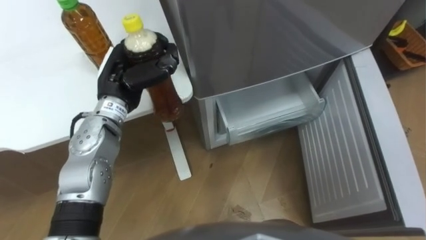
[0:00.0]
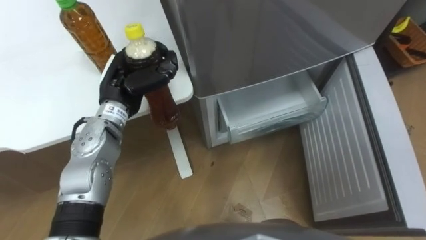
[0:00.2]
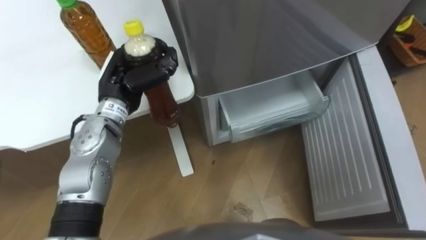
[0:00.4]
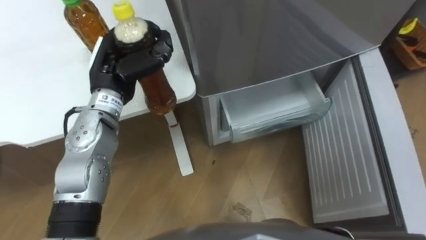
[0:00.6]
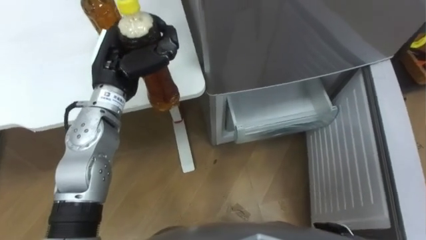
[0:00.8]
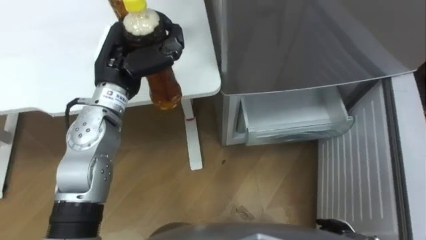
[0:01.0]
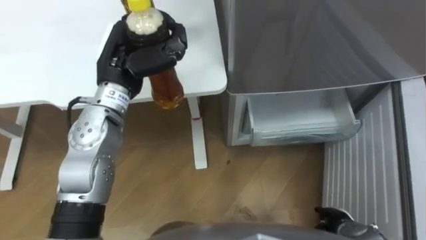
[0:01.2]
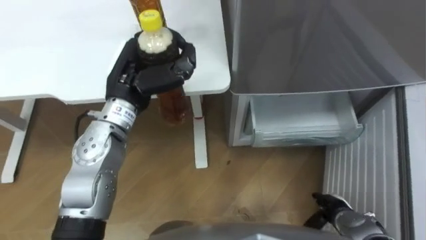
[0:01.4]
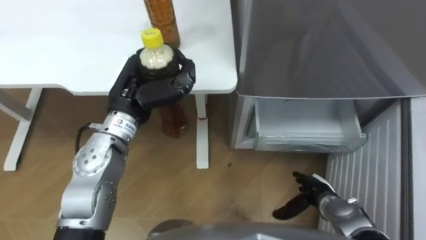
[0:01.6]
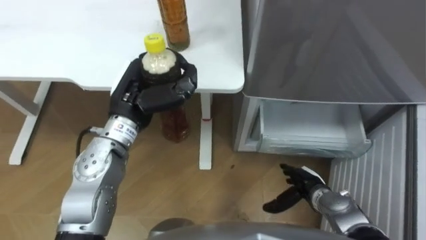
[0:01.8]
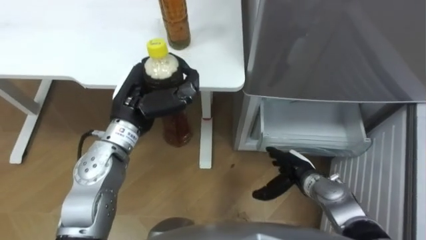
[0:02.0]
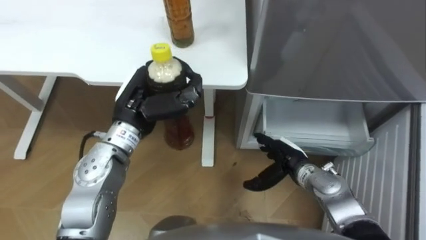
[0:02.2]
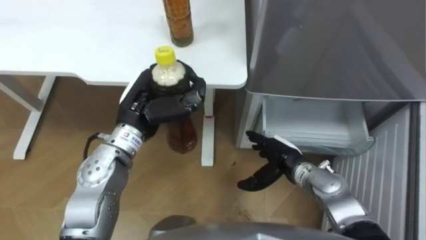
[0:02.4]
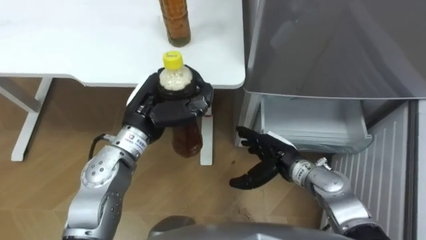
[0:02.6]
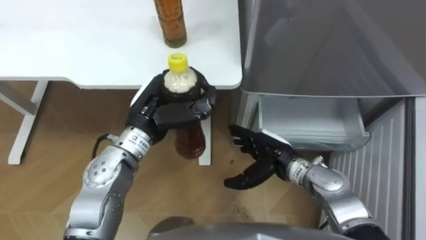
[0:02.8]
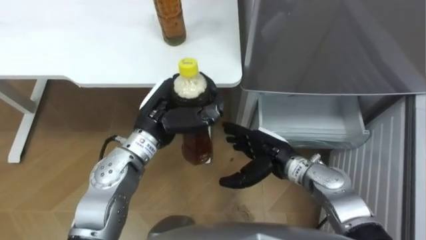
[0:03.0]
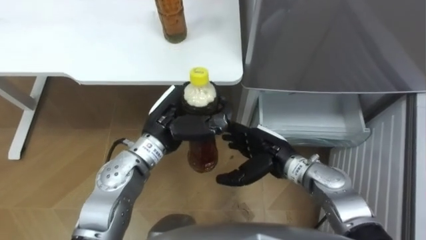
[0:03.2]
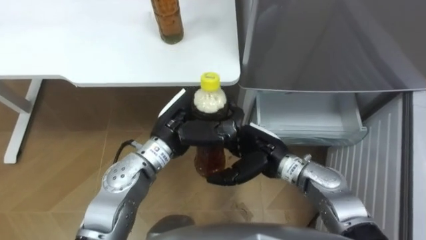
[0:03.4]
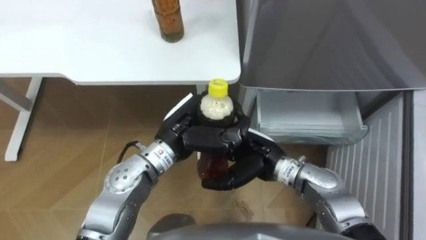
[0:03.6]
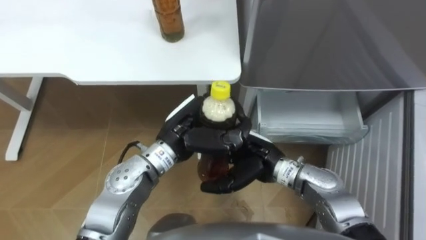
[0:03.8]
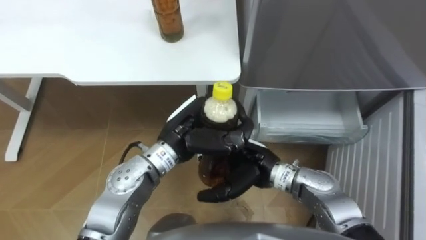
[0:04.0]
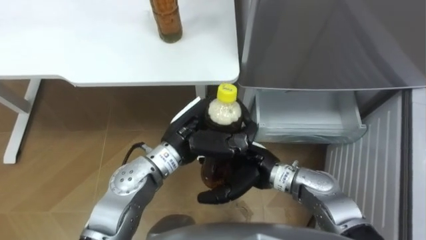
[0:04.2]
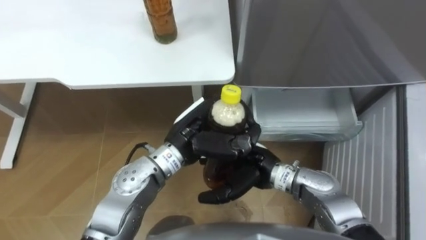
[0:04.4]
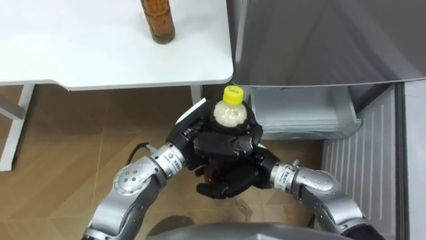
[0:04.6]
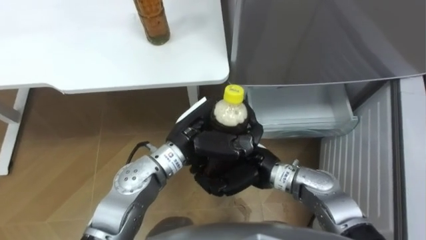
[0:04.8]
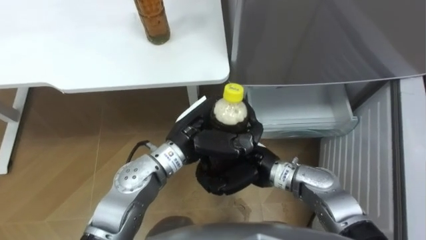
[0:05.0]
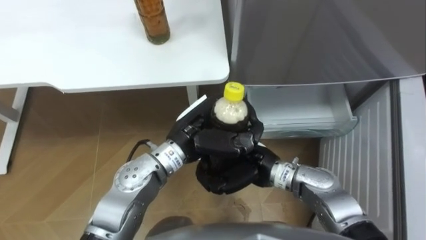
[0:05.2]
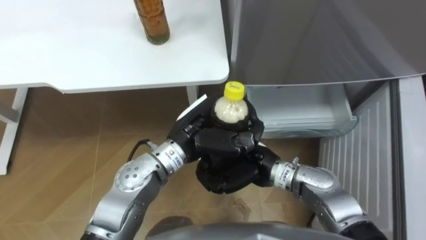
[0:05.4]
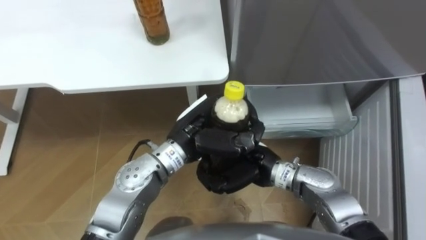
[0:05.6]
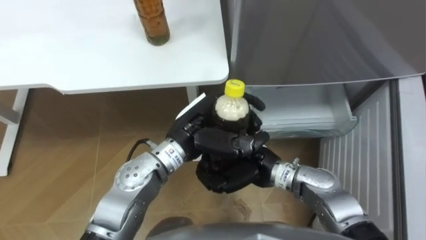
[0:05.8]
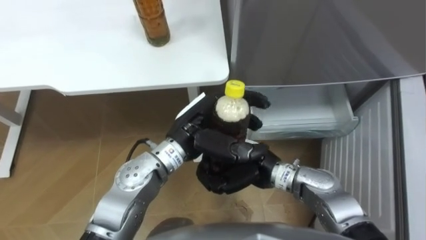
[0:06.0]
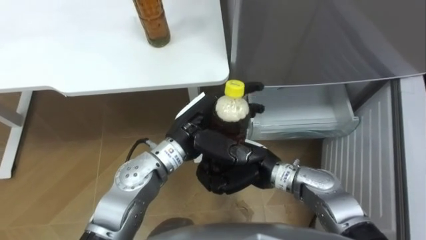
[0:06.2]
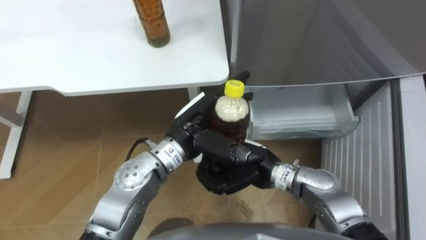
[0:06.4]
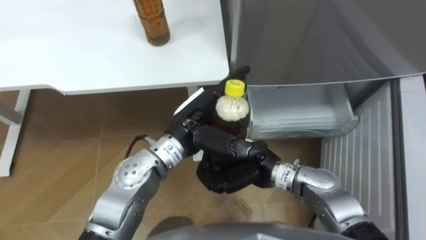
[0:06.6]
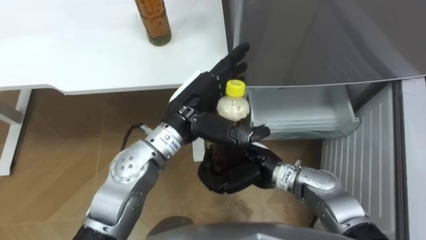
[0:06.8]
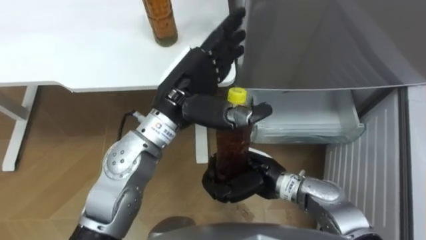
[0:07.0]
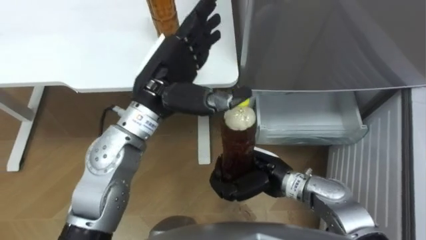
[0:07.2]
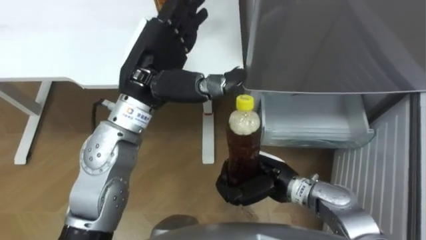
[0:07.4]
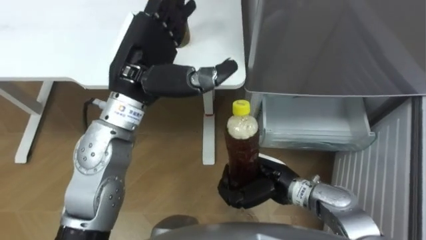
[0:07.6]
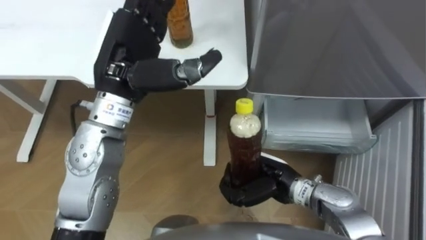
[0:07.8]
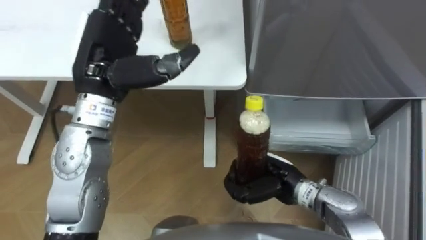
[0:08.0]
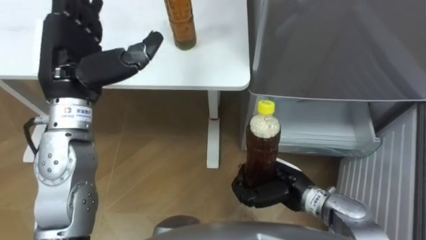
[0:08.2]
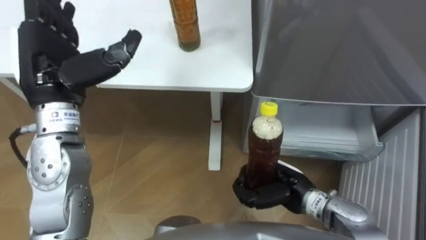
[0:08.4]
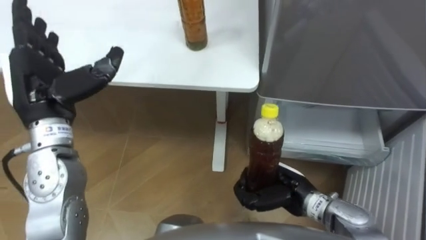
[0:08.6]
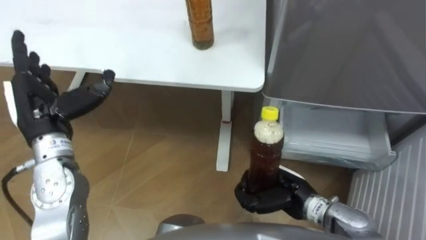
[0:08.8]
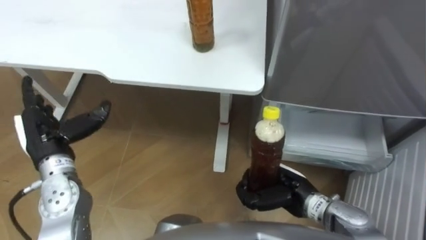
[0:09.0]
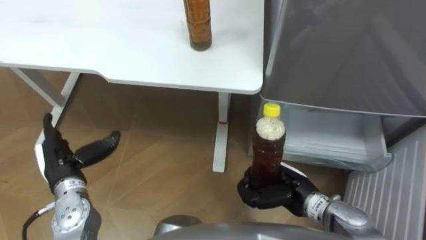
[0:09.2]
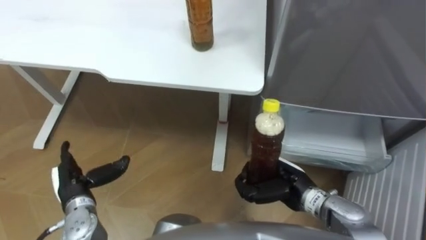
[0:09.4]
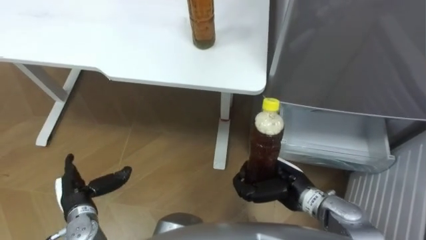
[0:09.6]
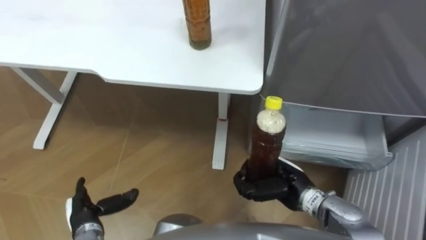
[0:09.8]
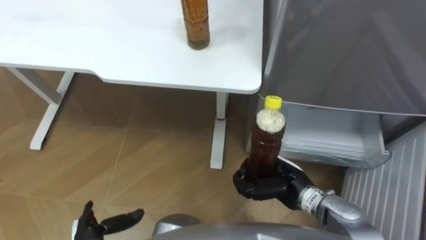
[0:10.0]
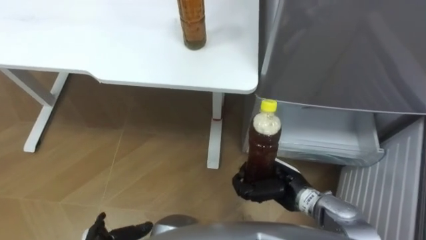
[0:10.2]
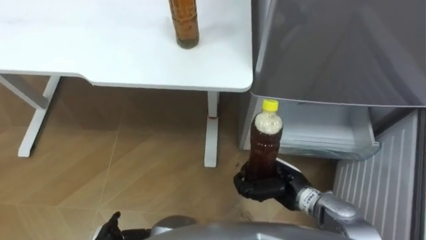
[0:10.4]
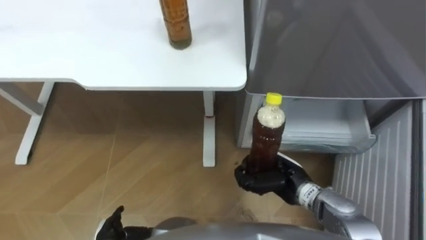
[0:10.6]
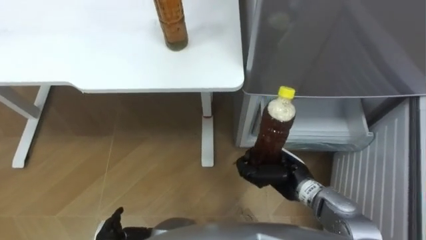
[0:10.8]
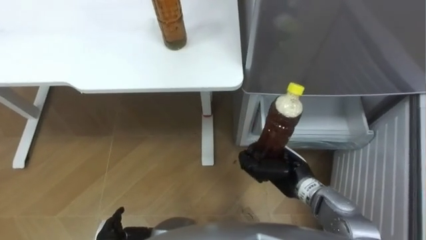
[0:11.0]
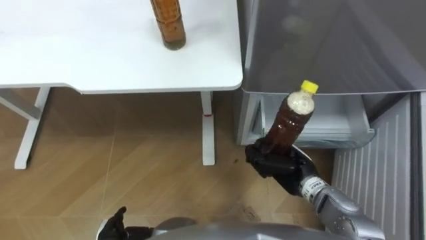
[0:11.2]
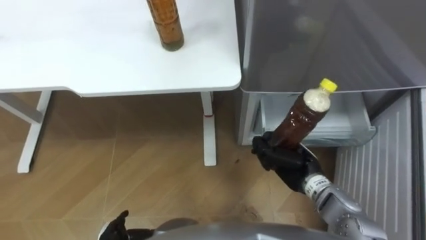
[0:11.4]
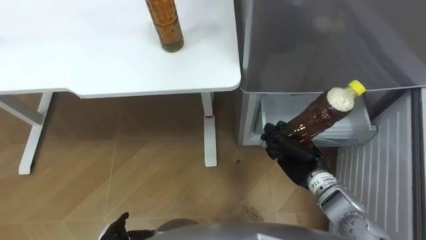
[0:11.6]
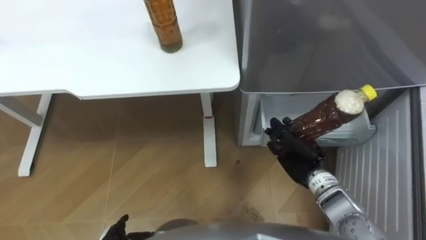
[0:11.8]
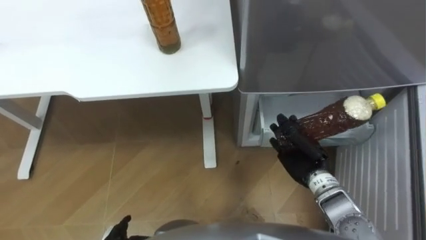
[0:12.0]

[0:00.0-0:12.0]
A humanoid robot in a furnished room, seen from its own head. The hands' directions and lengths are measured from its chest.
Task of the whole recording: Place the drink on the table on the bottom shelf of the refrigerator, then close the drawer and the refrigerator door.
0:01.6 to 0:03.0: The left hand ends up approximately 5 cm from where it was, while the right hand is displaced to the left, upward and forward by some 20 cm.
0:03.0 to 0:04.4: The right hand is displaced to the left by some 5 cm, while the left hand moves to the right, approximately 5 cm.
0:04.4 to 0:06.0: The left hand opens its fingers, while the right hand closes its fingers.
0:06.0 to 0:07.6: The left hand moves upward and to the left, approximately 15 cm, and opens up. The right hand moves approximately 5 cm.
0:07.6 to 0:09.0: The right hand moves about 5 cm. The left hand is displaced to the left and downward by some 25 cm.
0:10.4 to 0:12.0: The right hand ends up some 5 cm from where it was.

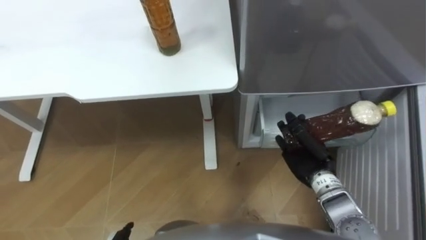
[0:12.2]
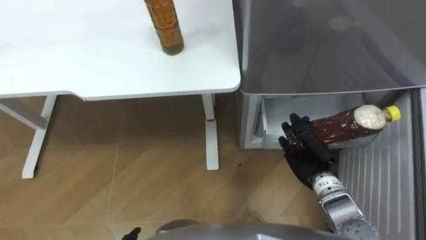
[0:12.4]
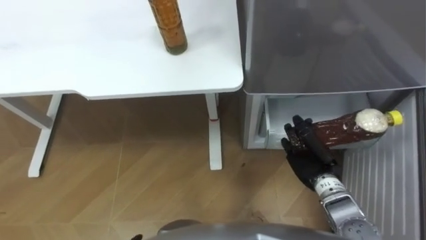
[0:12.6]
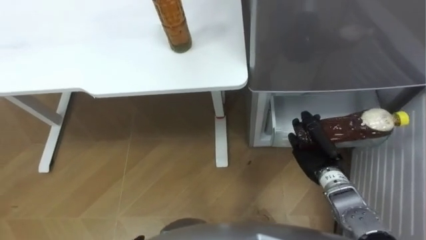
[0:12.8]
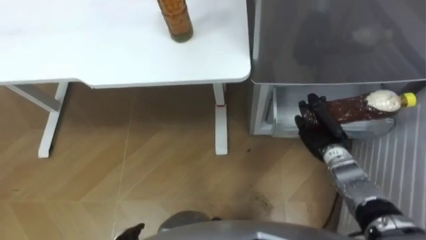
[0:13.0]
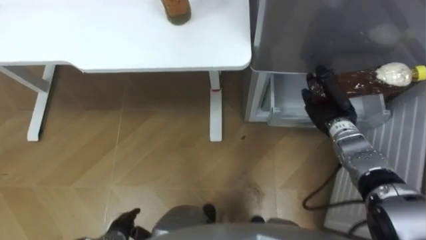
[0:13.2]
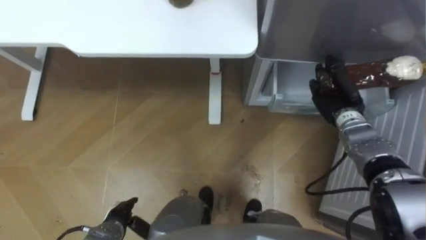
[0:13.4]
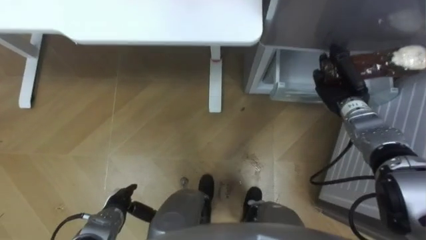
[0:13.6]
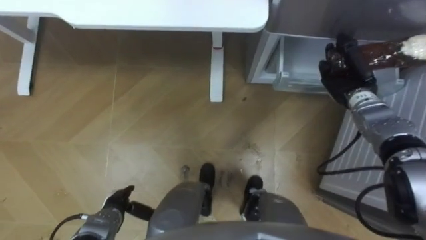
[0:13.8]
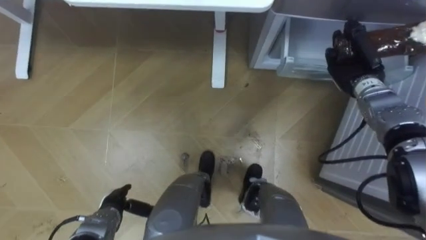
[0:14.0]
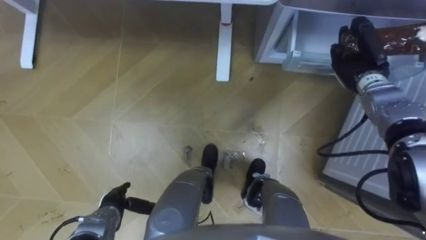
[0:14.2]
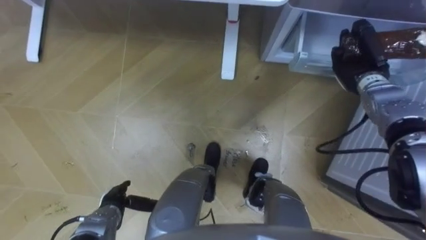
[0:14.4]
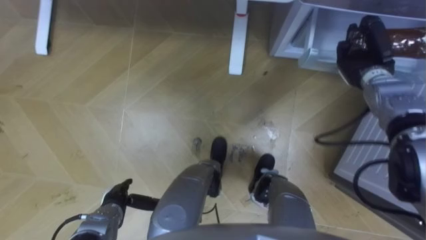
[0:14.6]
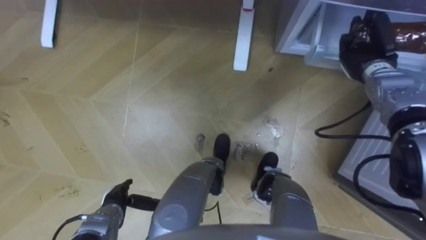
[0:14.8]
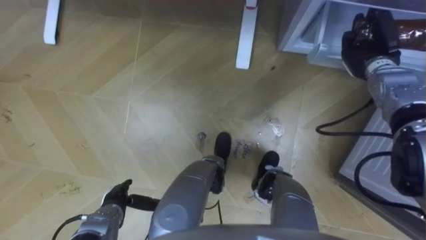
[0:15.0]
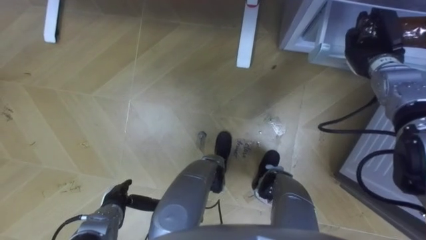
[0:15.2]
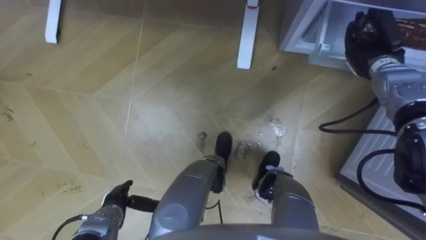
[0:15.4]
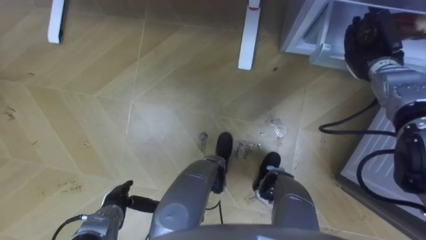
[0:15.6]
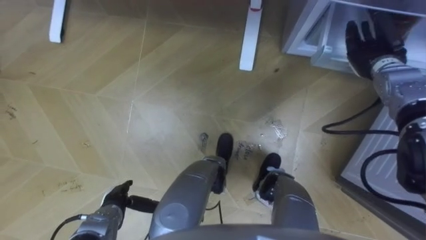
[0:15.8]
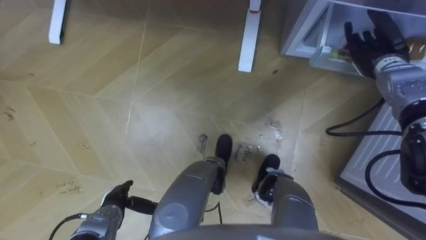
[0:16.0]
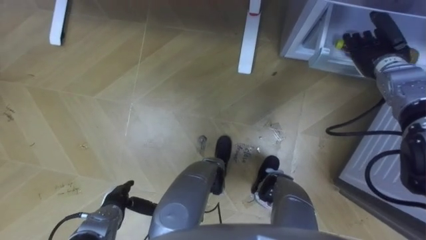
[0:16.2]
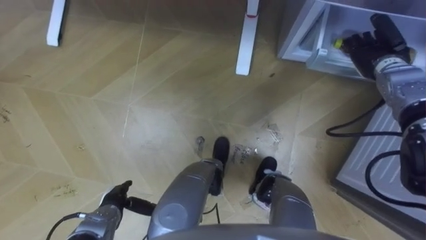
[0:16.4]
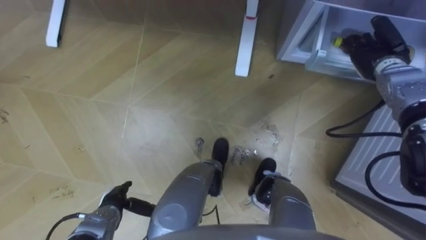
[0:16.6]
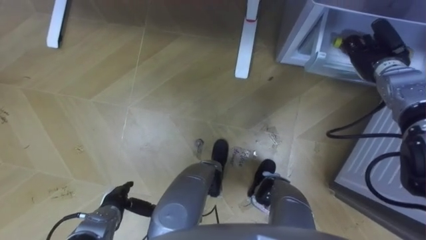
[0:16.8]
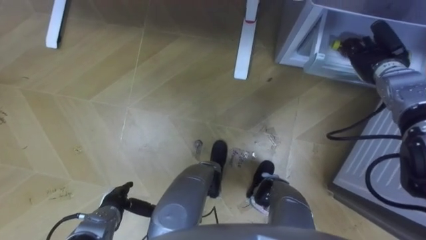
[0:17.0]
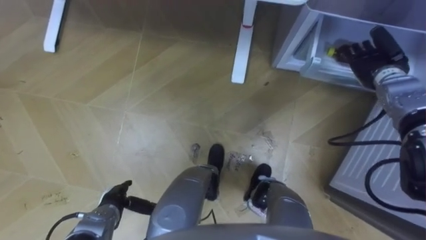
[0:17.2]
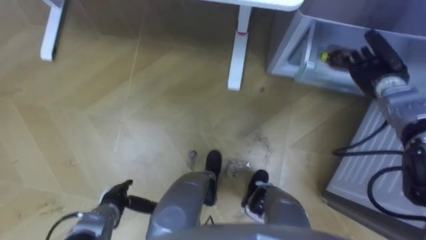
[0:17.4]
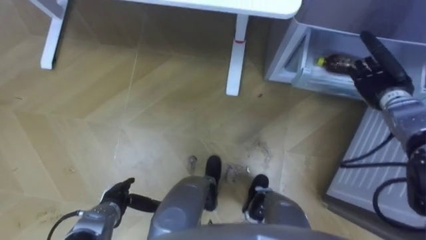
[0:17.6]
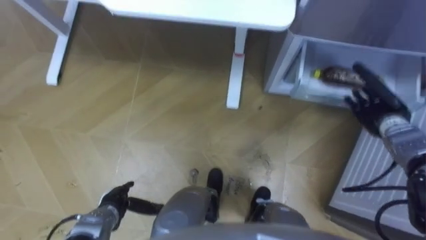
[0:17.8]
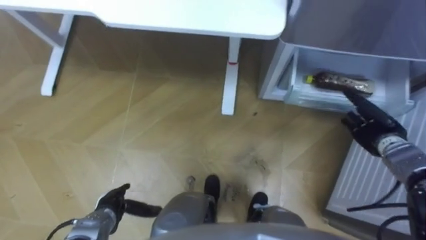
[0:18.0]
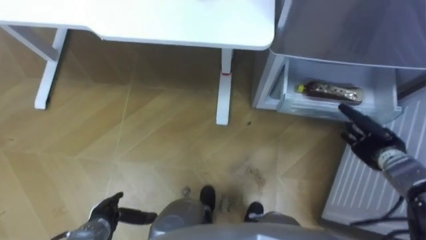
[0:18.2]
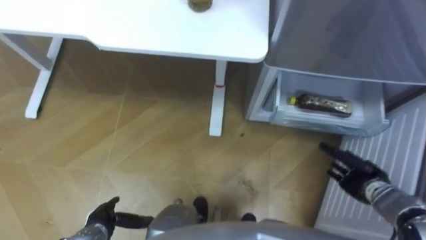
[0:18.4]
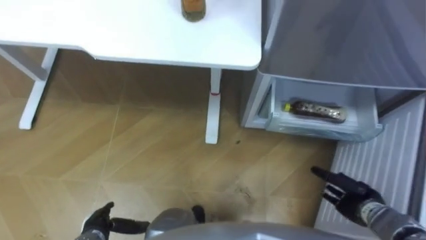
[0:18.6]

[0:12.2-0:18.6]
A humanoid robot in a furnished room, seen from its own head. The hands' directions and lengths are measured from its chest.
Task of the whole recording: Place the drink on the table on the bottom shelf of the refrigerator, then close the drawer and the refrigerator door.
0:12.2 to 0:13.8: The right hand travels forward and to the right by approximately 15 cm.
0:13.8 to 0:15.4: The right hand ends up some 5 cm from where it was.
0:15.4 to 0:17.0: The right hand opens up.
0:17.0 to 0:18.6: The right hand goes approximately 30 cm backward and downward, while the left hand ends up about 5 cm from where it was.
